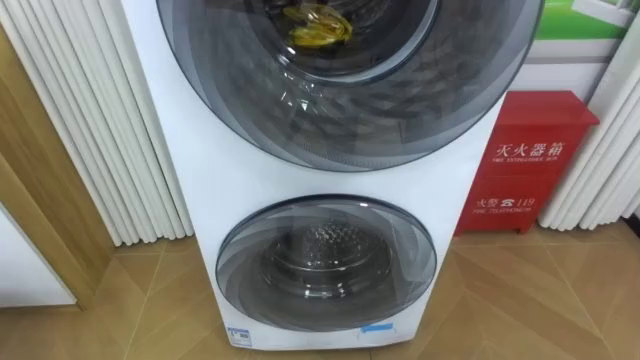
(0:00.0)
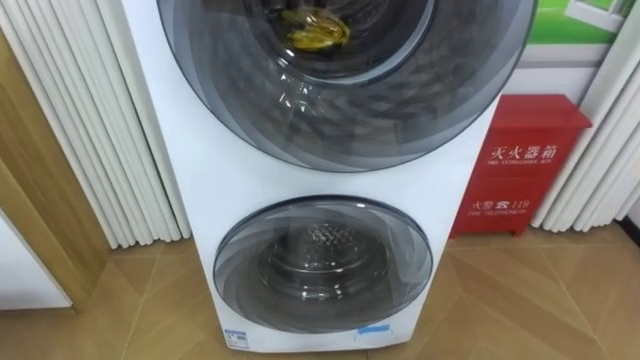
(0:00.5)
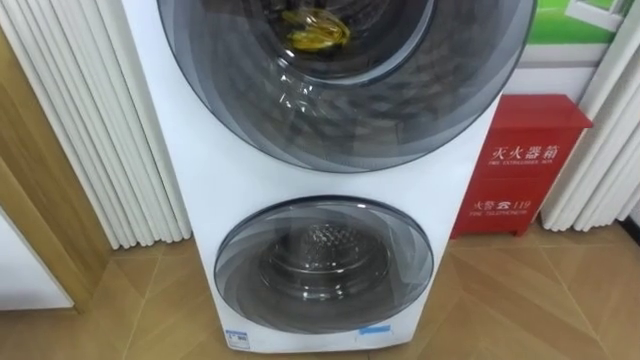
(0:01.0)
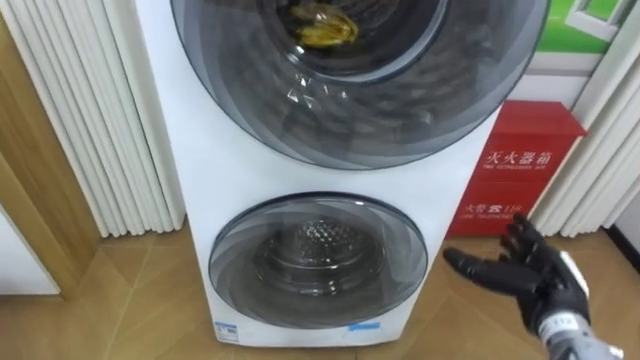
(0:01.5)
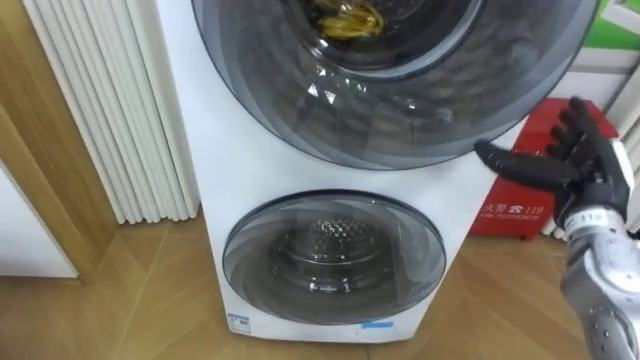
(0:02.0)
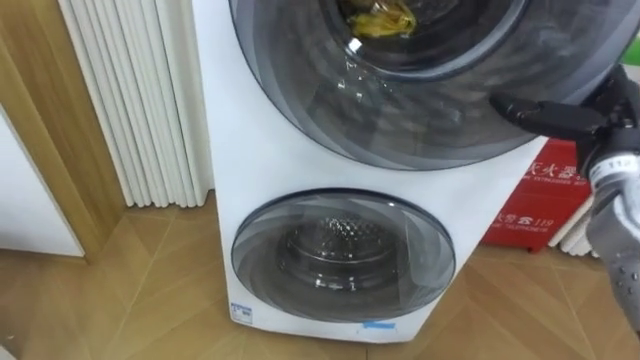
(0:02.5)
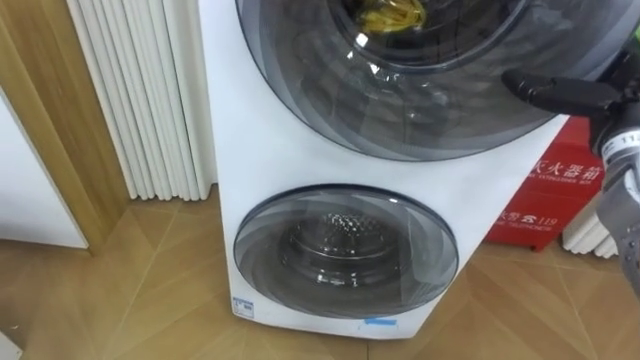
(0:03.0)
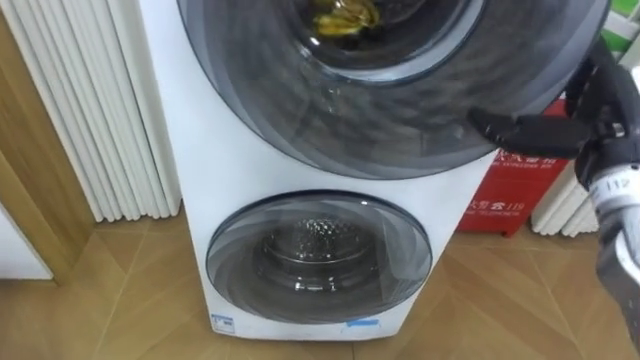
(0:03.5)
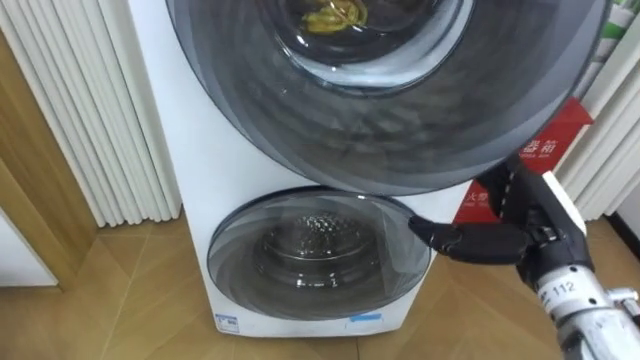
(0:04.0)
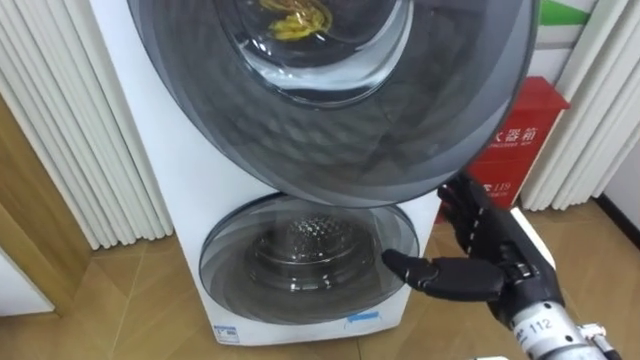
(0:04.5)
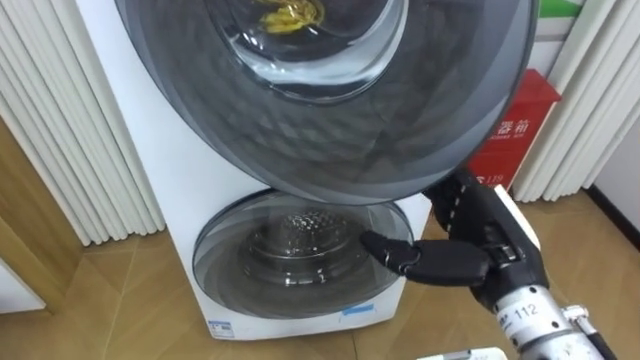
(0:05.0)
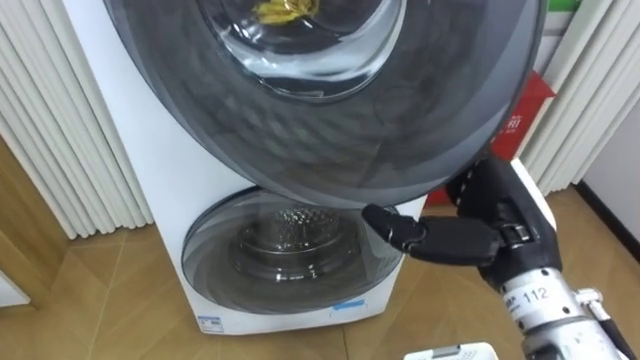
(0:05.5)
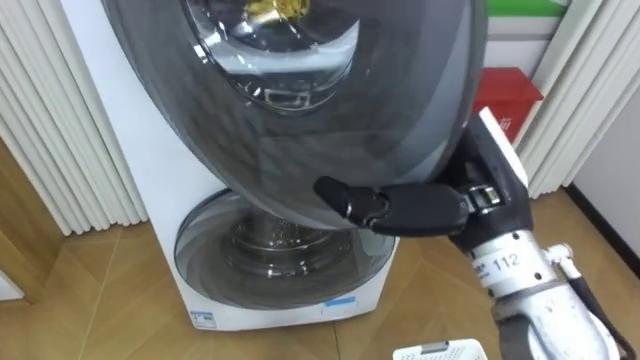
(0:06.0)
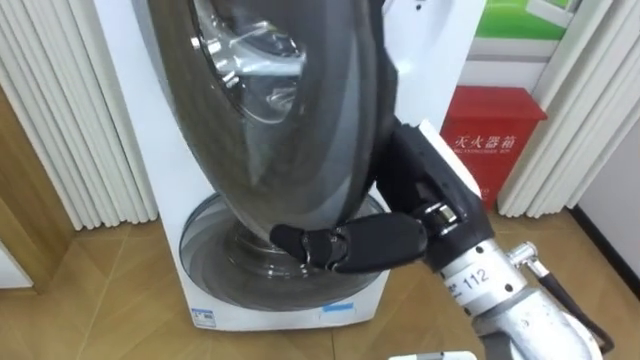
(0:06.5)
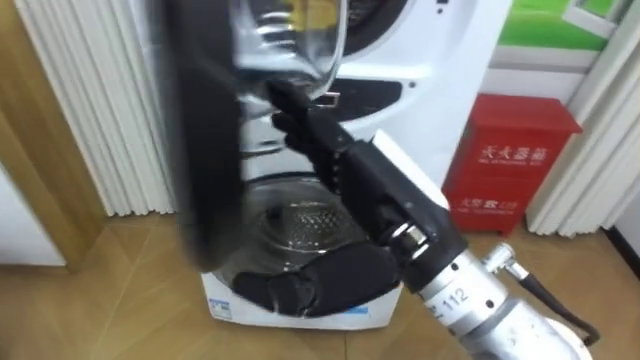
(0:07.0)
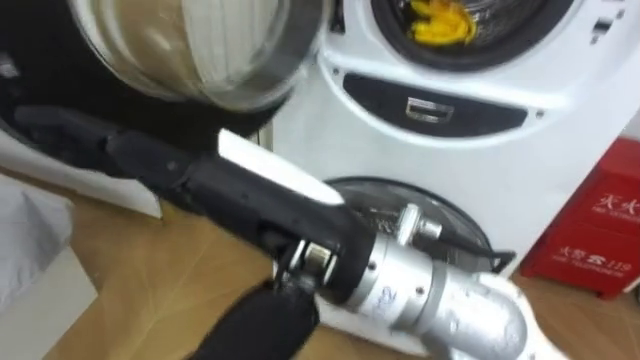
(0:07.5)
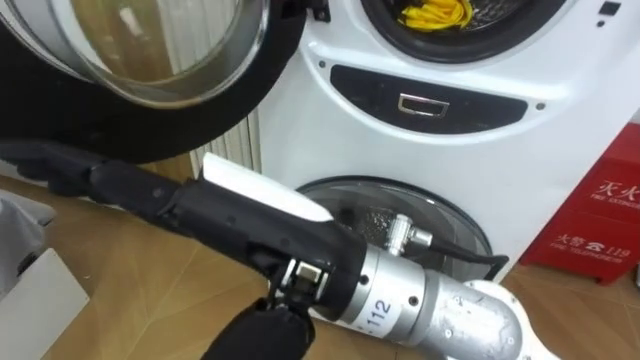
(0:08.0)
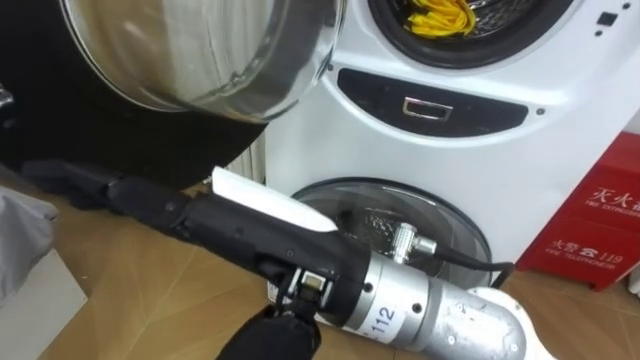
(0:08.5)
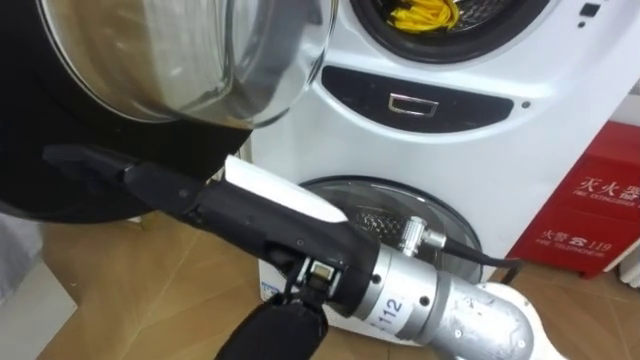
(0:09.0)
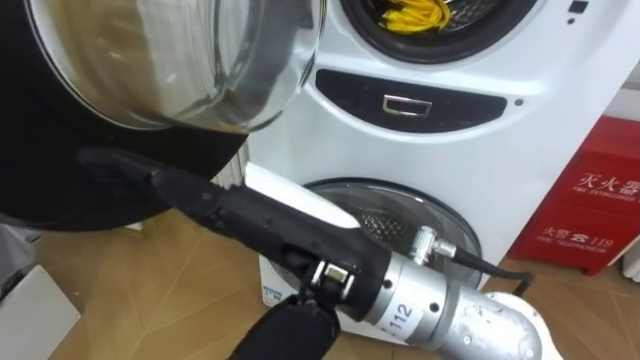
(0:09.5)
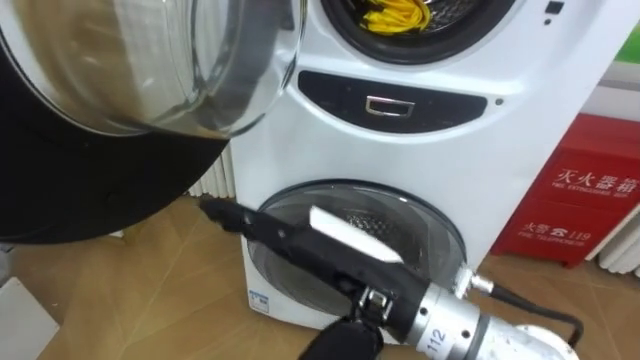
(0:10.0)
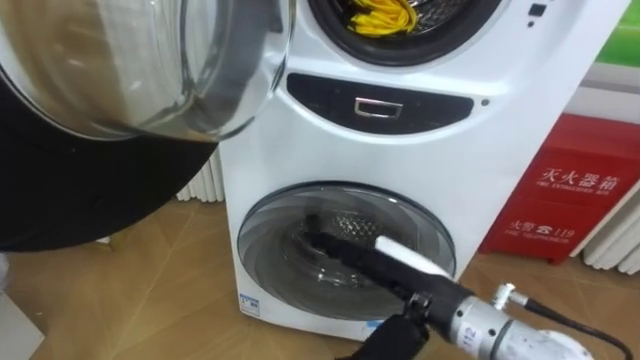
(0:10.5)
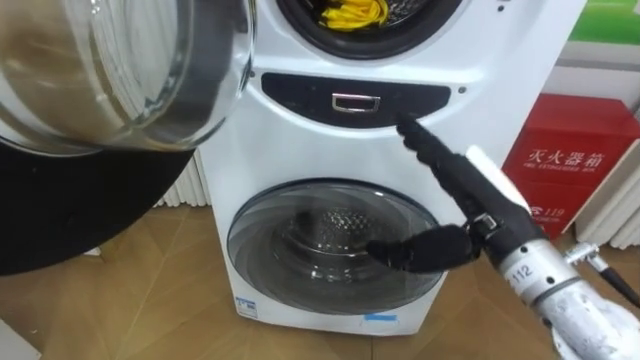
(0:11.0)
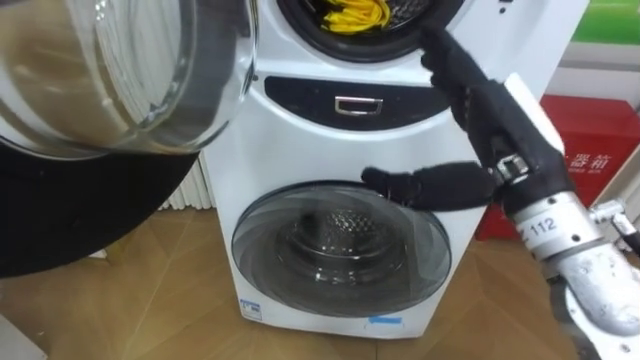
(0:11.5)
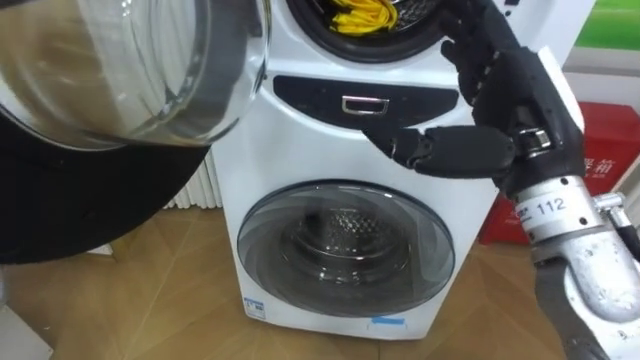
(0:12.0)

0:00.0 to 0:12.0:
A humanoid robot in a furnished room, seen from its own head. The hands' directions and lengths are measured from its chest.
Task of the whole recording: Open the washing machine door, take out the yellow clothes, place them in the box on the right, and close the washing machine door.
0:02.0 to 0:04.0: The right hand moves to the left and backward, roughly 10 cm.
0:04.0 to 0:06.0: The right hand is displaced to the left and upward by about 15 cm.
0:06.0 to 0:08.0: The right hand moves to the left and backward, approximately 20 cm.
0:08.0 to 0:10.0: The right hand travels downward and to the right by roughly 10 cm.
0:10.0 to 0:12.0: The right hand travels to the right, forward and upward by approximately 20 cm.

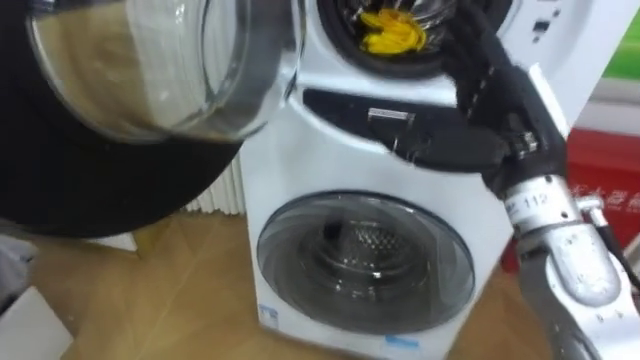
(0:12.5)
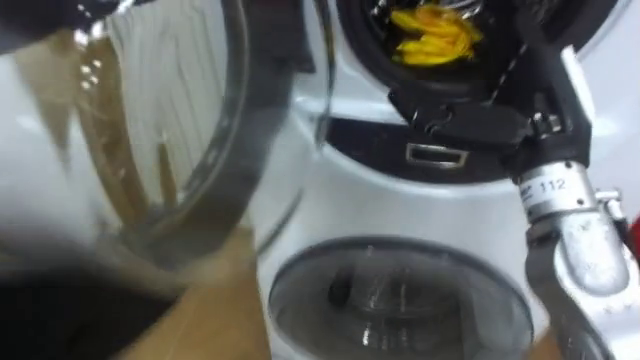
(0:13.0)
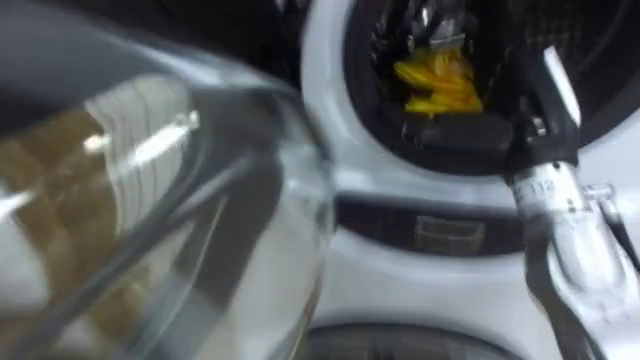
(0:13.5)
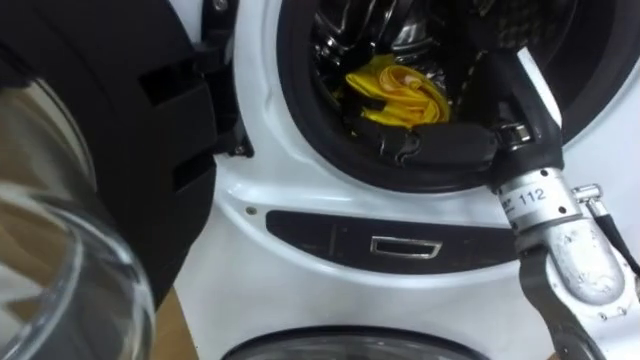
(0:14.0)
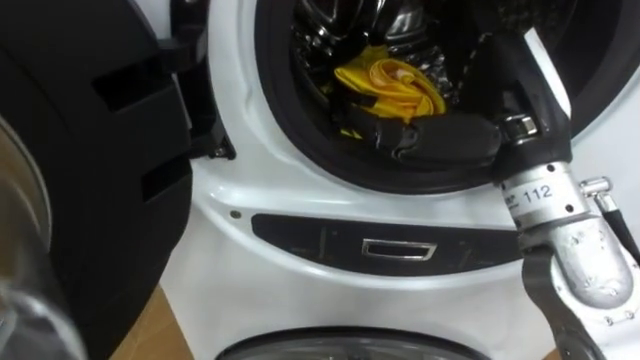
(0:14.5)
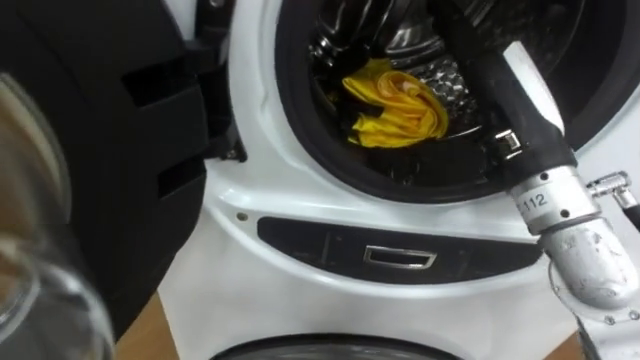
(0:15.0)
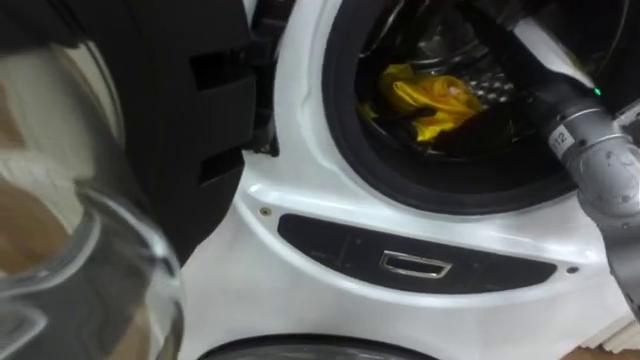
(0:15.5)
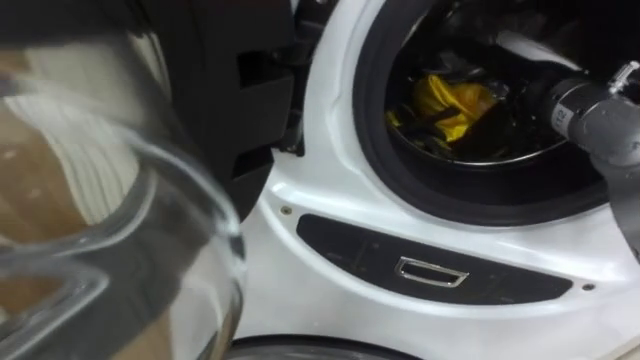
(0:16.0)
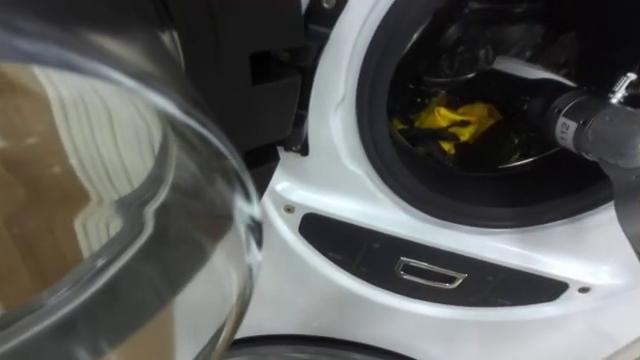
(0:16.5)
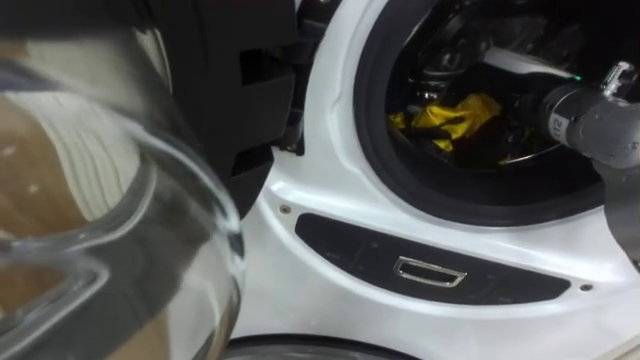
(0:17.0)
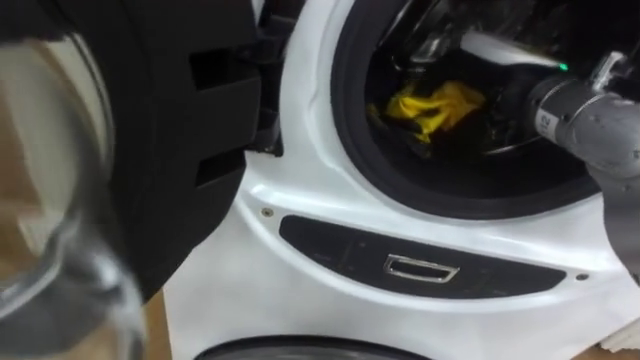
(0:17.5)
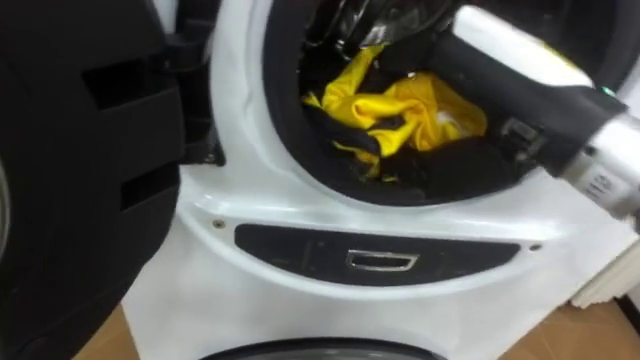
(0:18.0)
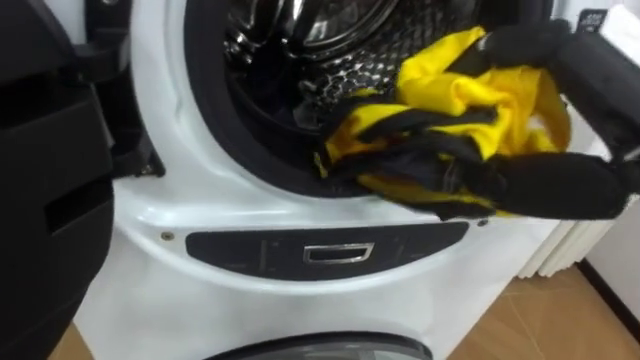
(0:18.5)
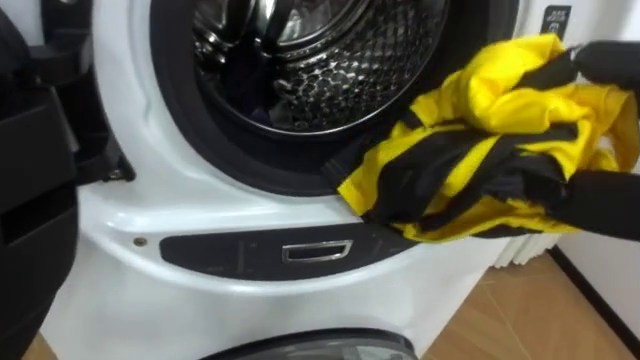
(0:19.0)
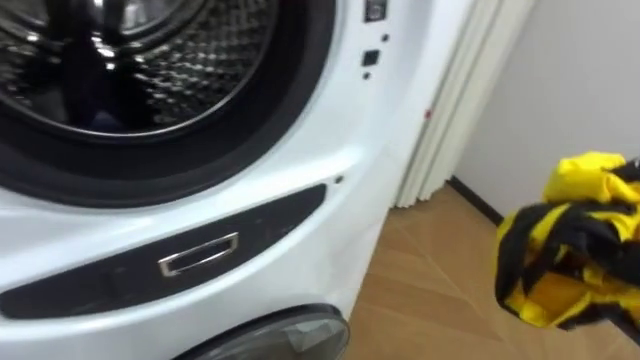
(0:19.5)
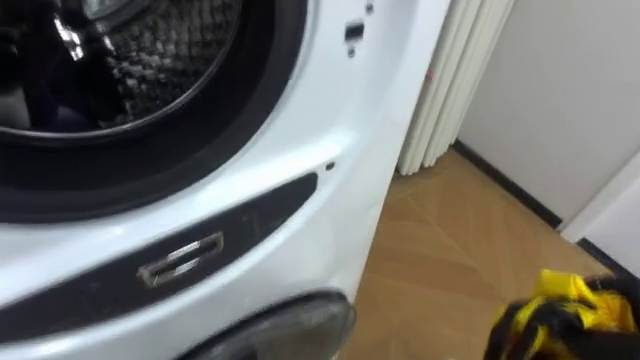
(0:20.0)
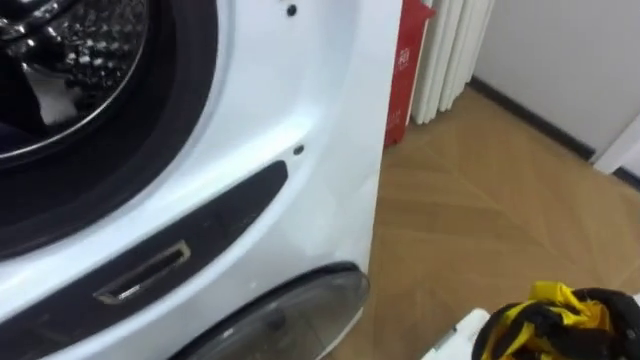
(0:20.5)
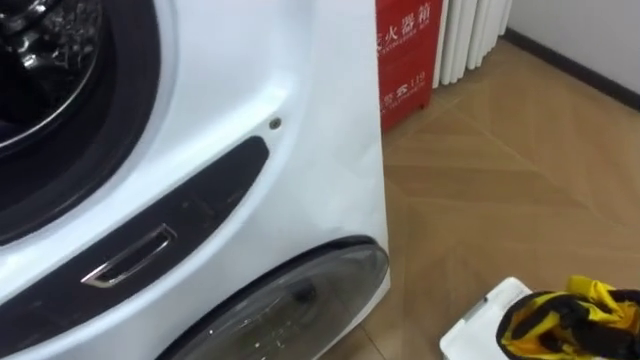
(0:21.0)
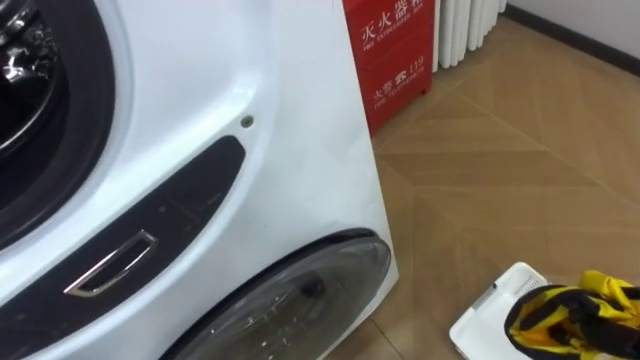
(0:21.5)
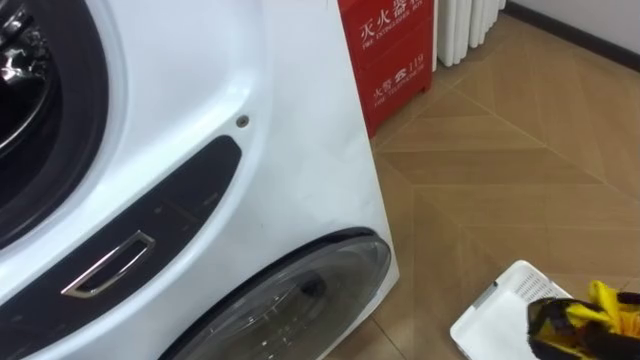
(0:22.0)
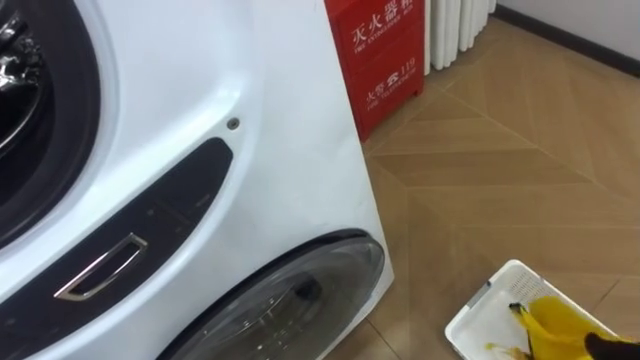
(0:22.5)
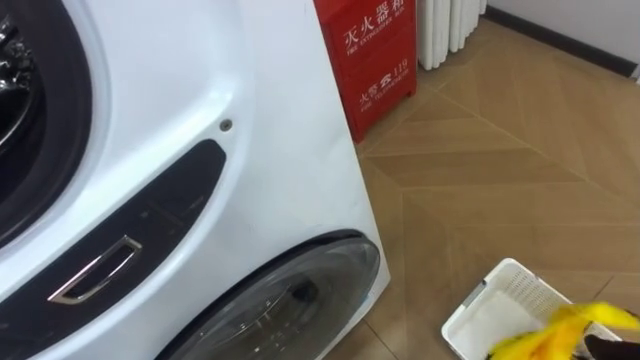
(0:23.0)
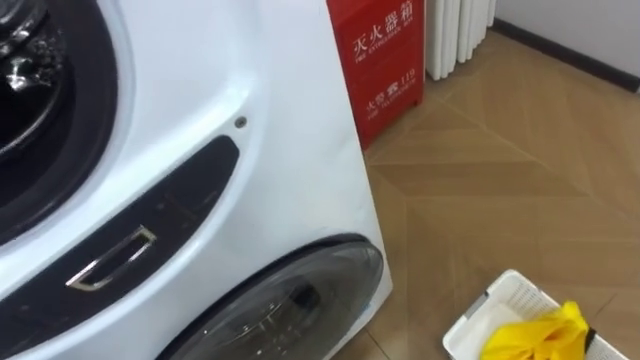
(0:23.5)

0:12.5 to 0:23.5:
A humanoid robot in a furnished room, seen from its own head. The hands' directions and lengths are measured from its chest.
Task of the whole recording: Open the washing machine door, take out the yellow clothes, place them in the box on the right, and close the washing machine door.
0:14.5 to 0:16.0: The right hand is displaced forward and to the right by about 10 cm.
0:16.0 to 0:18.0: The right hand is displaced backward, to the left and upward by roughly 15 cm, and closes up.
